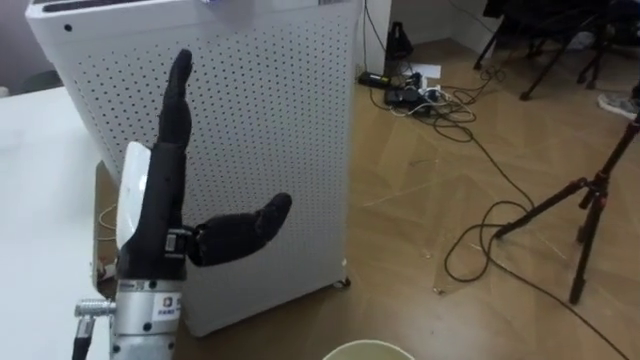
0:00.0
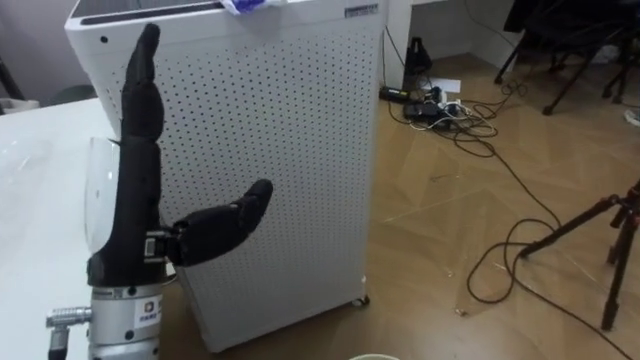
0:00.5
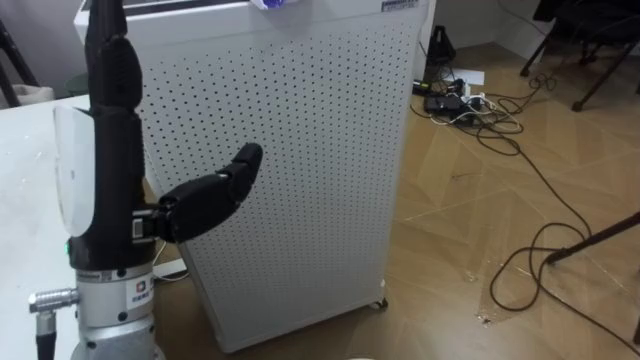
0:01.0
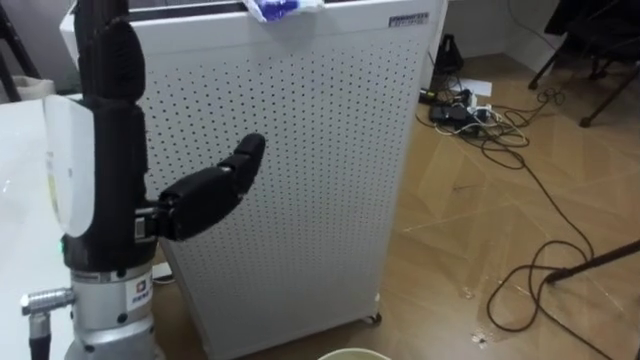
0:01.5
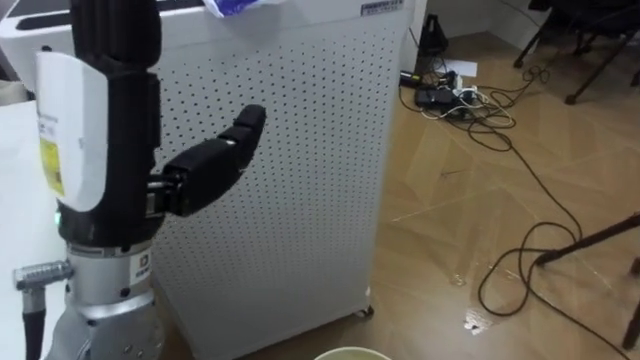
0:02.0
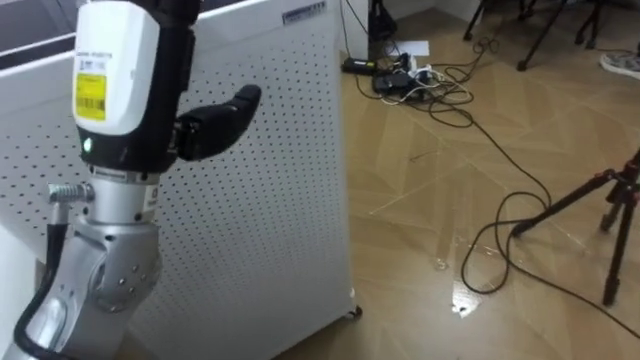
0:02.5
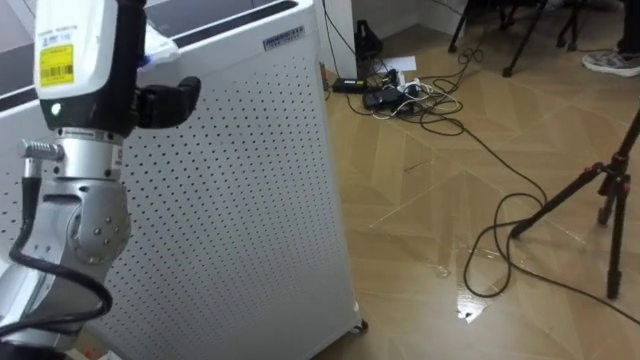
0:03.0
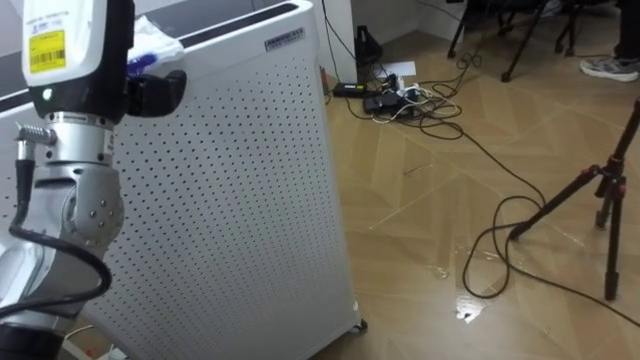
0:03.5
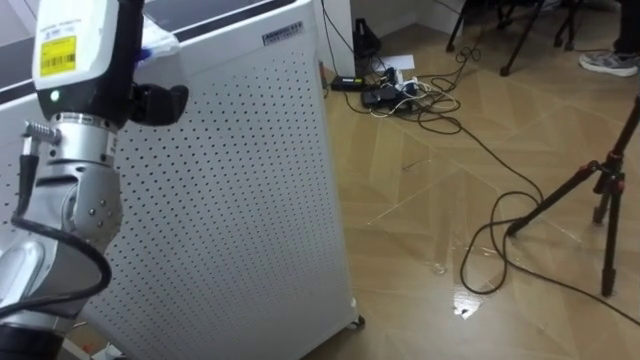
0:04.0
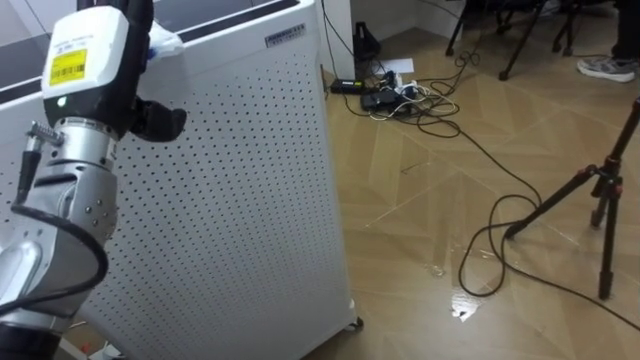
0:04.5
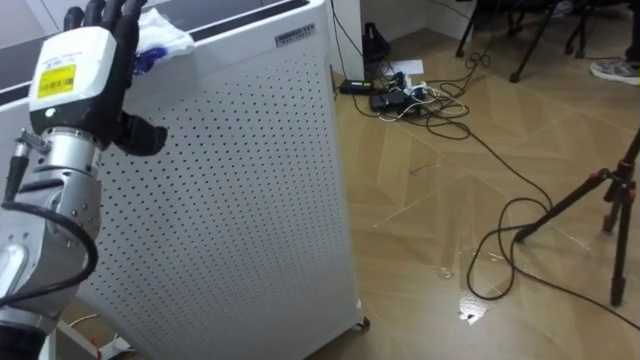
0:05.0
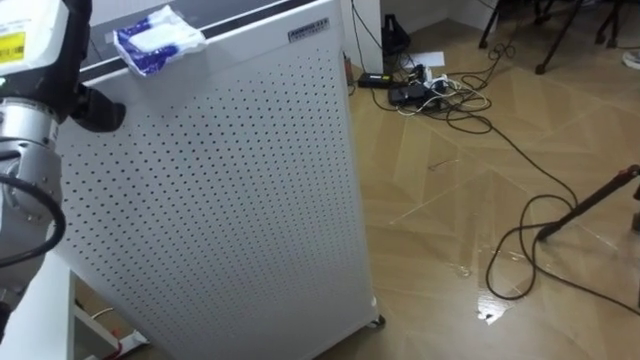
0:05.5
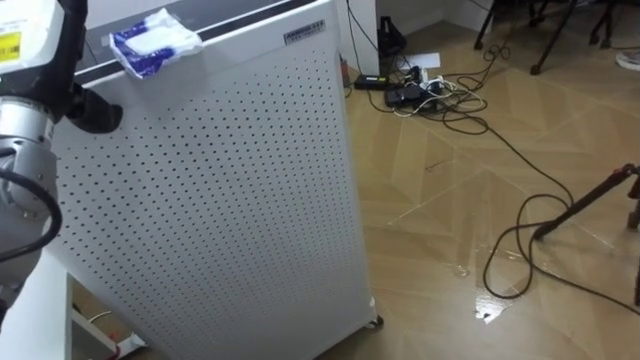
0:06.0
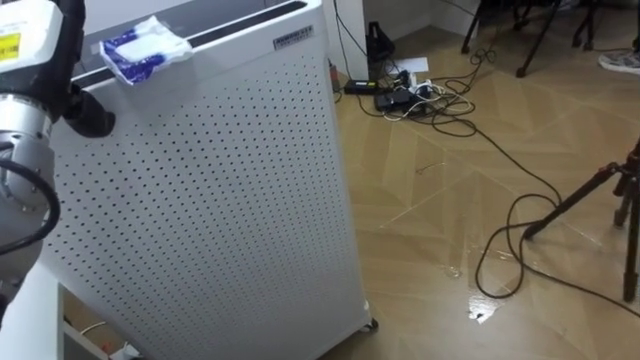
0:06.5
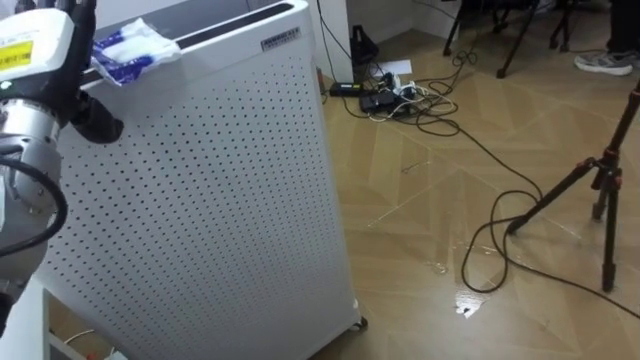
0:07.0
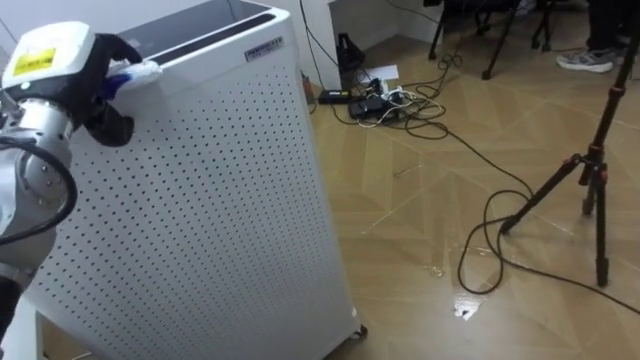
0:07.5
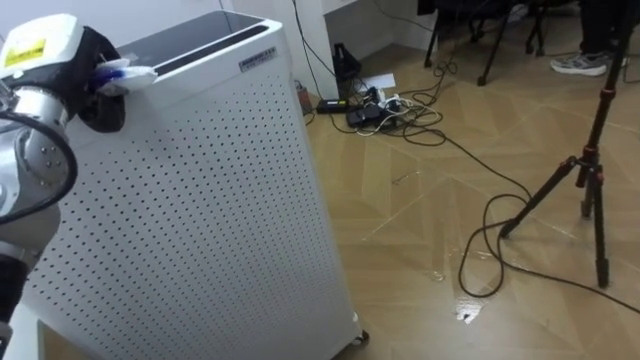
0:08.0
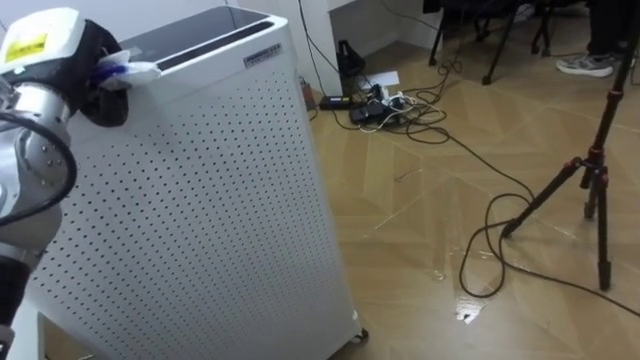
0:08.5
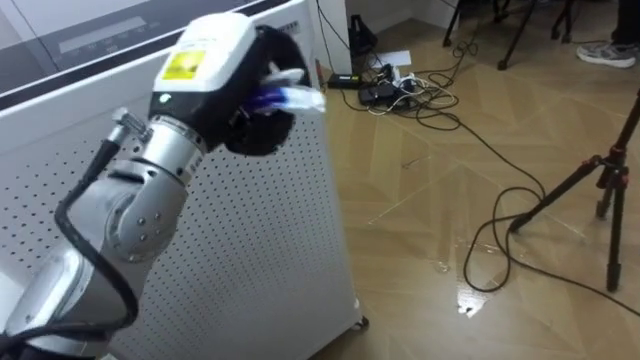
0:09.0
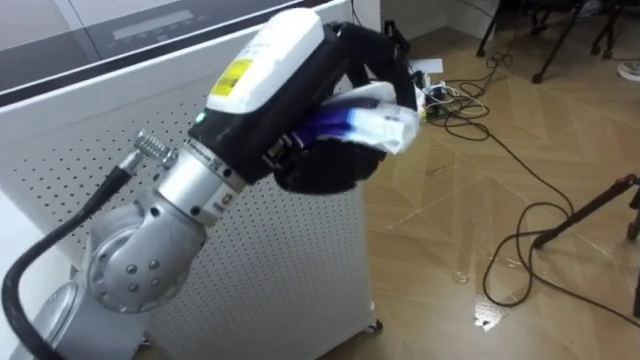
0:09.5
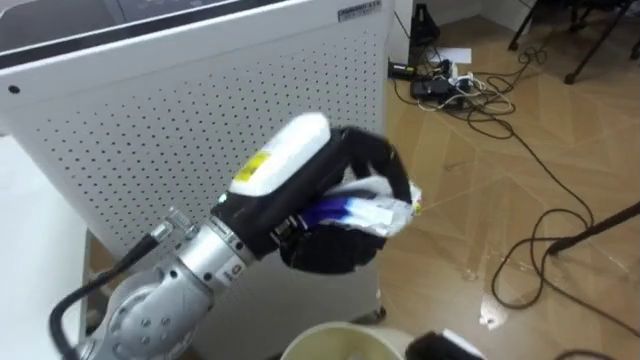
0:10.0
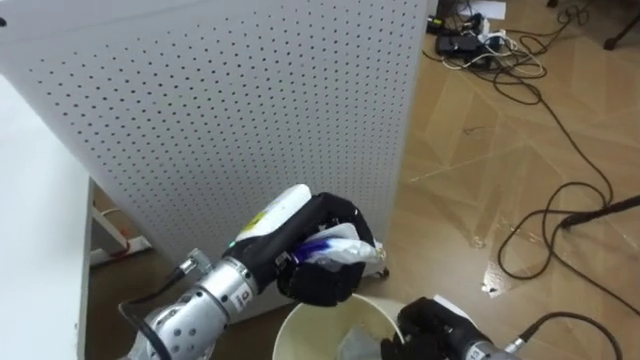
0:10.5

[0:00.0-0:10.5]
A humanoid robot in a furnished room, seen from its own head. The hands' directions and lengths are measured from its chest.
Task of the whole recording: Pick up the light blue package, the candy box, and the dark blue package separately, and put them into the trash can held in your right hand.
0:00.0 to 0:02.0: The left hand goes roughly 10 cm upward.
0:02.0 to 0:04.0: The left hand travels forward and to the left by approximately 15 cm.
0:04.0 to 0:06.5: The left hand travels to the left by approximately 5 cm.
0:06.5 to 0:08.5: The left hand closes up.
0:08.5 to 0:10.5: The left hand shifts roughly 30 cm to the right, downward and backward.

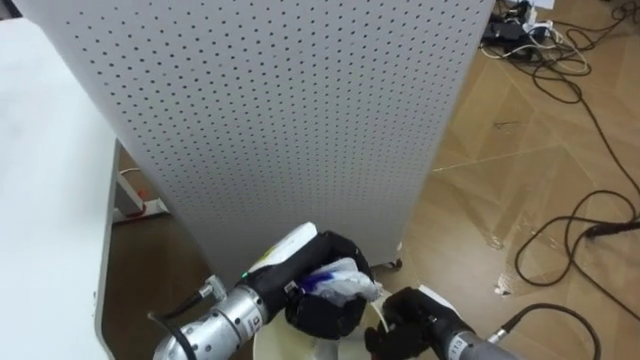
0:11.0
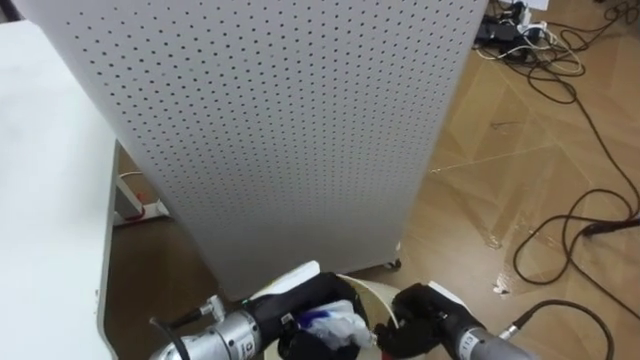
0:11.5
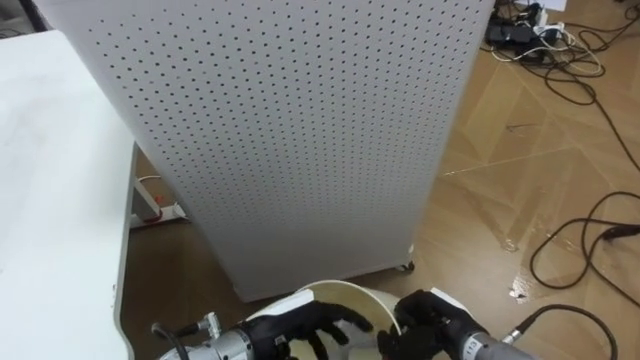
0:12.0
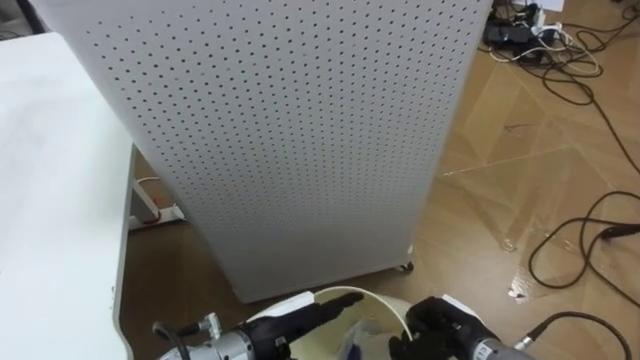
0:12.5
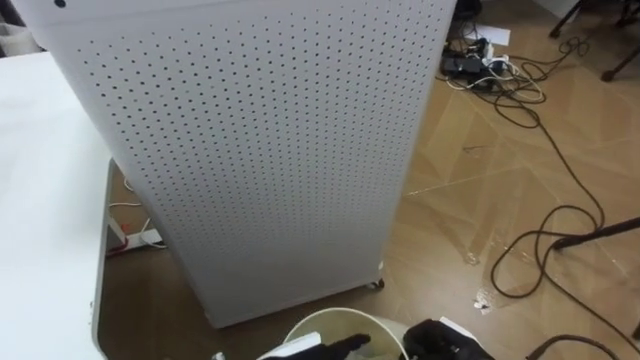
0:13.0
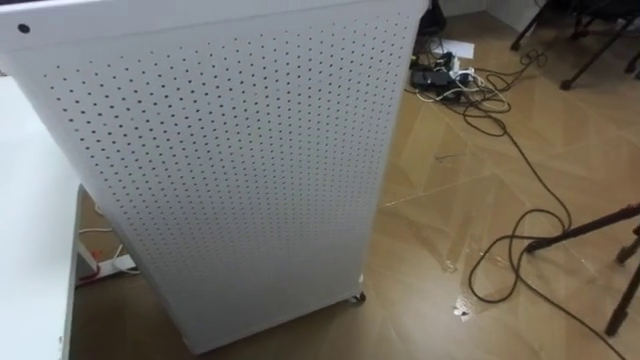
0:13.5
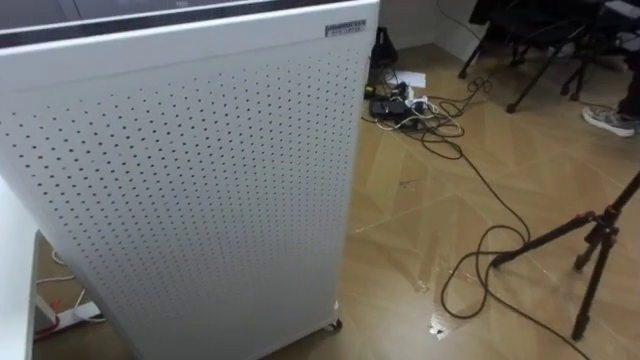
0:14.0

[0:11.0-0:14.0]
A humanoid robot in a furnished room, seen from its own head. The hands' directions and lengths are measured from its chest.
Task of the whole recording: Pick up the light blue package, the candy box, and the dark blue package separately, and put them into the trash can held in your right hand.
0:11.0 to 0:12.5: The left hand heads downward, covering approximately 5 cm, and opens.
